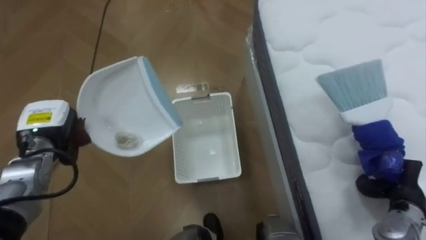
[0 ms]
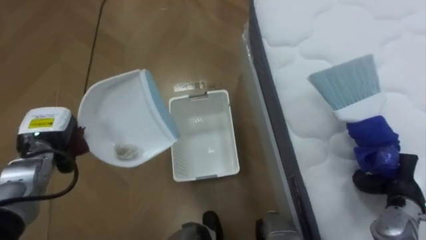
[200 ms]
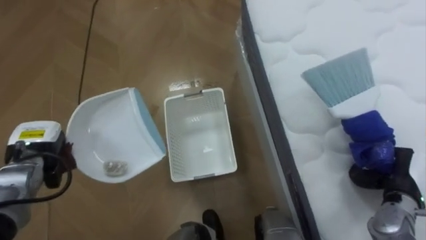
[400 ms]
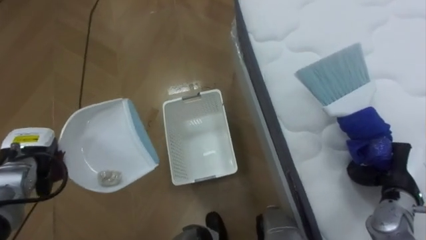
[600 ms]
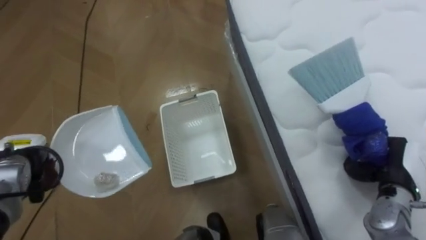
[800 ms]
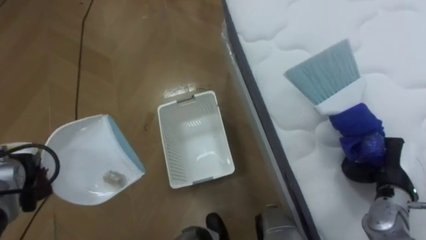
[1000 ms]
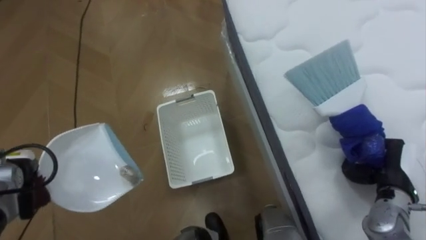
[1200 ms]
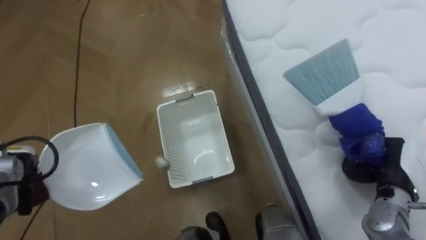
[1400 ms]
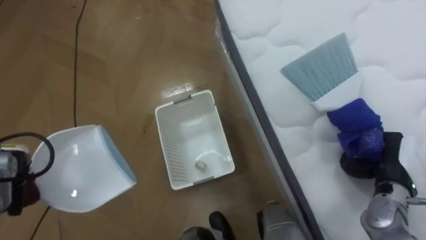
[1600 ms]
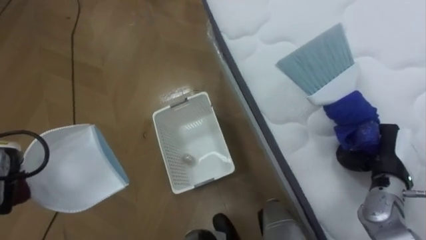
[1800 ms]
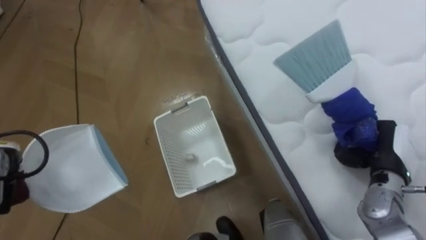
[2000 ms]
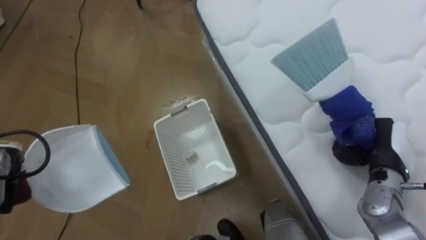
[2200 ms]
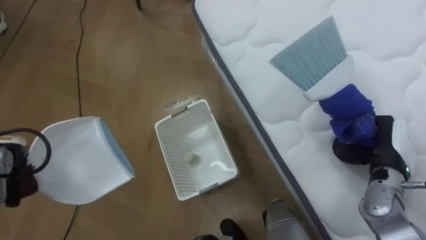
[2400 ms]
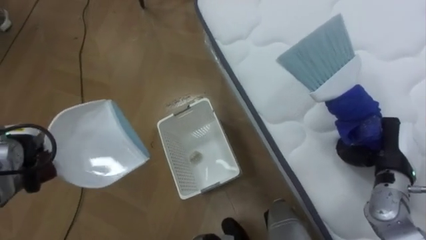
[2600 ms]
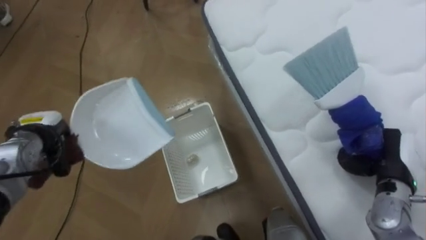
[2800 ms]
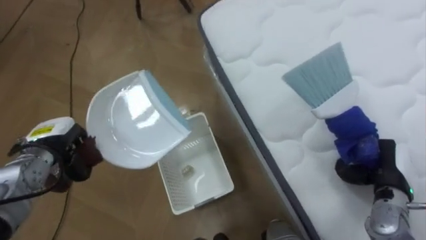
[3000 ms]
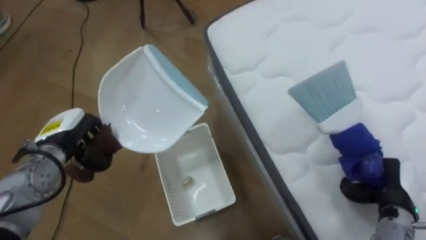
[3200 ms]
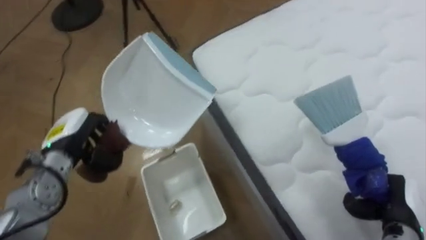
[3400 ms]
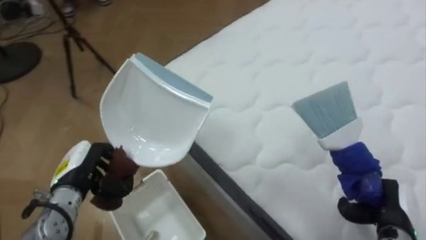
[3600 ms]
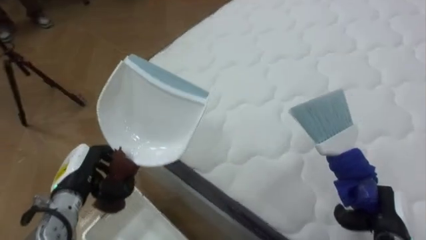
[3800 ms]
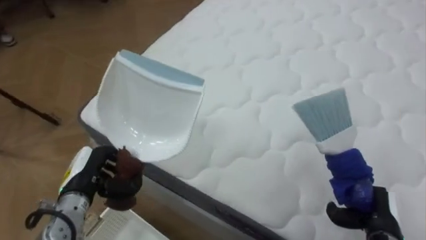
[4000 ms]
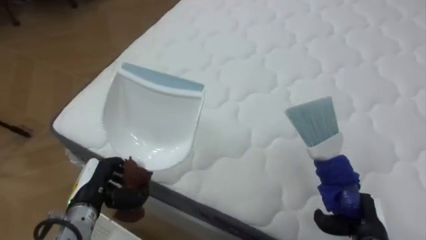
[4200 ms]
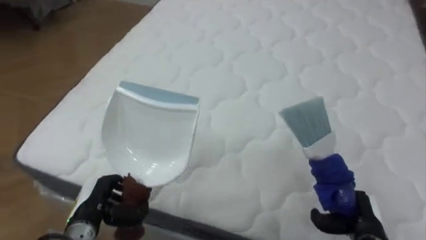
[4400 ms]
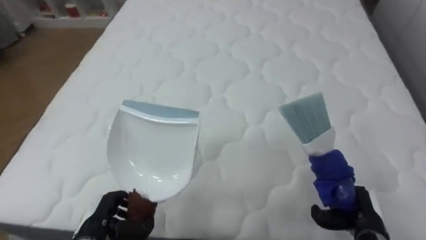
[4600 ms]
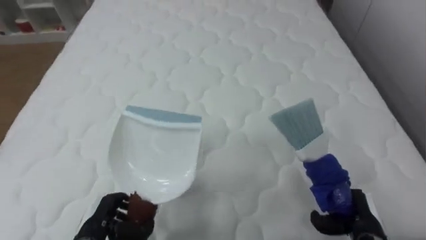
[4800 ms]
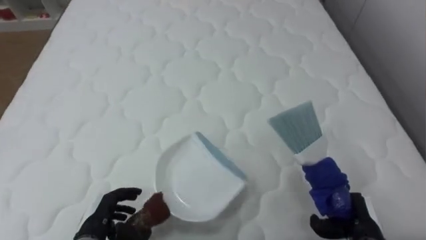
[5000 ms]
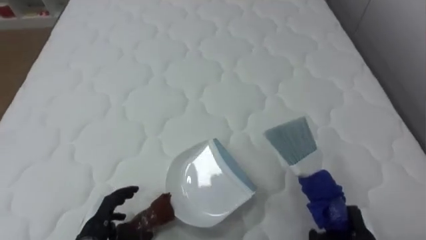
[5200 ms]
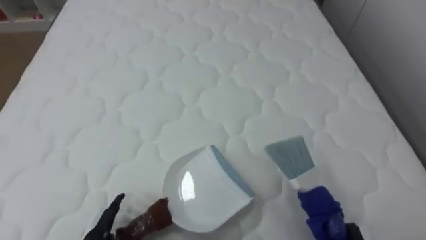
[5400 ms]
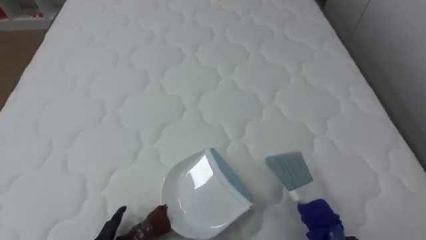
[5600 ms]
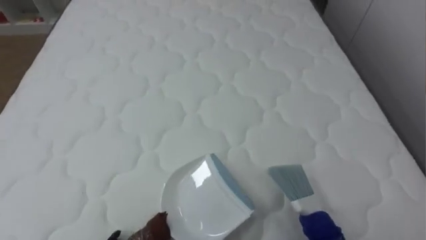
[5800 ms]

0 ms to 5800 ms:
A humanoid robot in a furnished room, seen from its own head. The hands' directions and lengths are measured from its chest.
Task of the whole recording: Pick up the brush on your right and the dustpan on your left. Use the brush to sweep the crumpled paper on the bed into the dustpan, then turn left and empty it into the basket.
0 ms to 1400 ms: The left hand is displaced to the left and backward by about 10 cm.
1400 ms to 2800 ms: The left hand ends up approximately 5 cm from where it was.
2800 ms to 4400 ms: The robot faces about 65 degrees further to its right. The left hand heads backward, to the right and downward, covering some 15 cm; the right hand shifts approximately 10 cm downward and backward.
4400 ms to 5800 ms: The robot rotates some 25 degrees to its right.

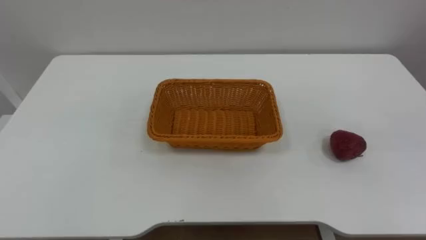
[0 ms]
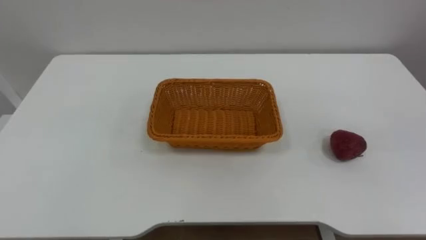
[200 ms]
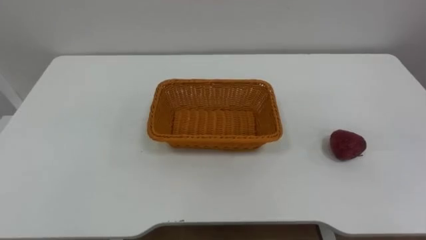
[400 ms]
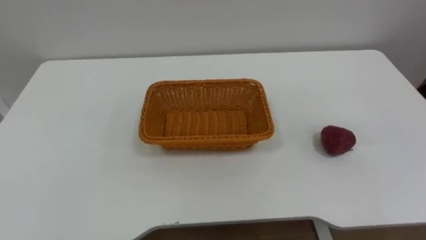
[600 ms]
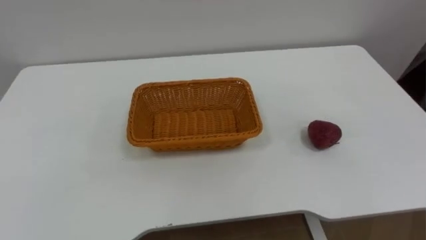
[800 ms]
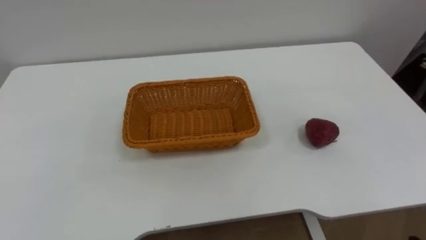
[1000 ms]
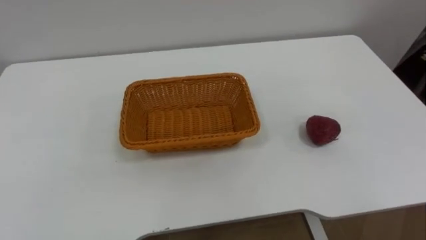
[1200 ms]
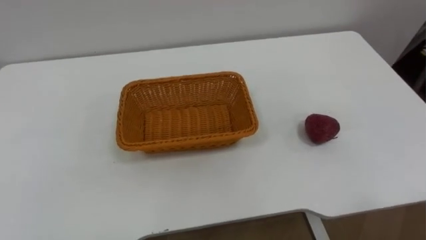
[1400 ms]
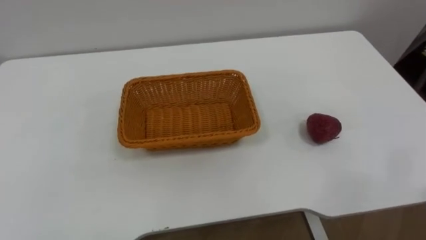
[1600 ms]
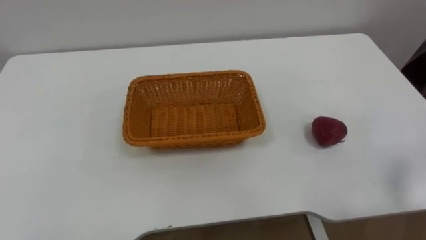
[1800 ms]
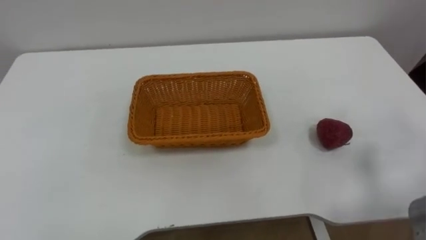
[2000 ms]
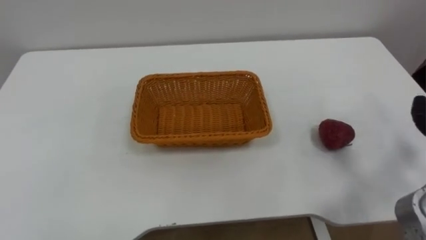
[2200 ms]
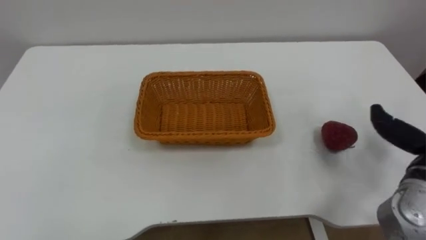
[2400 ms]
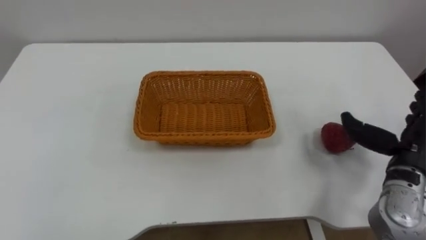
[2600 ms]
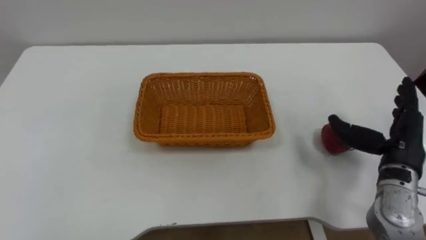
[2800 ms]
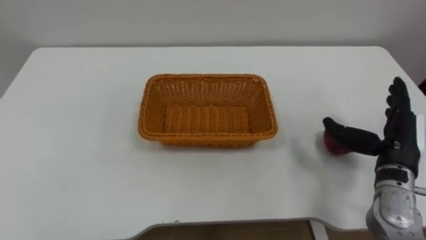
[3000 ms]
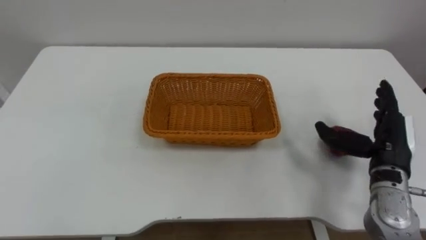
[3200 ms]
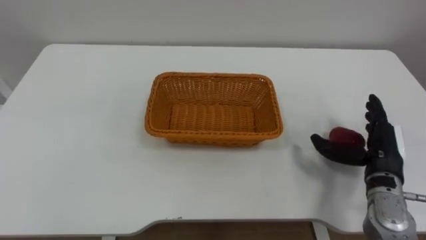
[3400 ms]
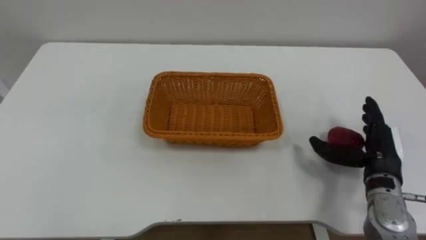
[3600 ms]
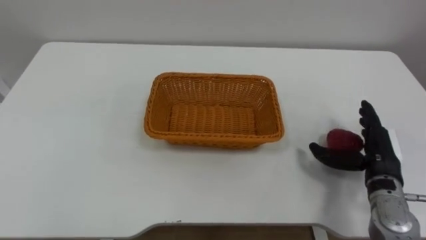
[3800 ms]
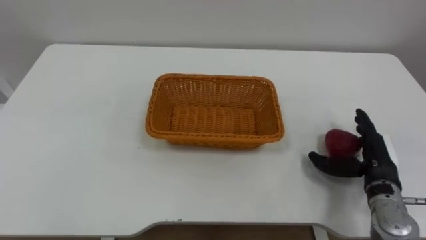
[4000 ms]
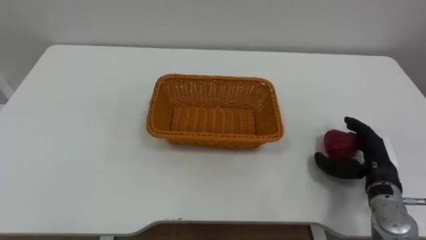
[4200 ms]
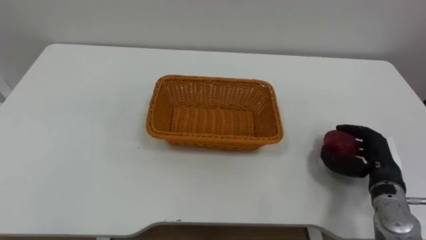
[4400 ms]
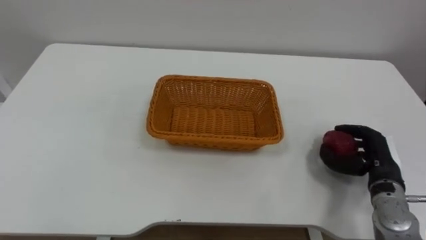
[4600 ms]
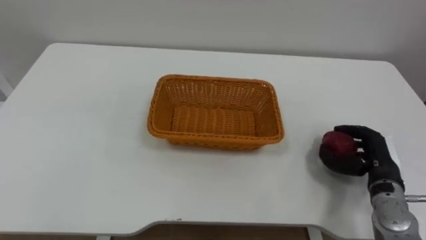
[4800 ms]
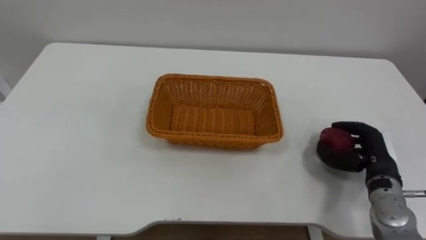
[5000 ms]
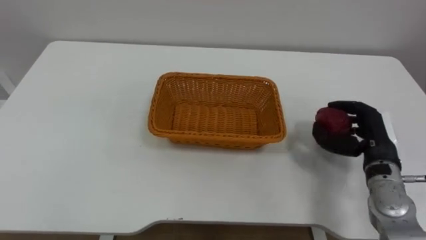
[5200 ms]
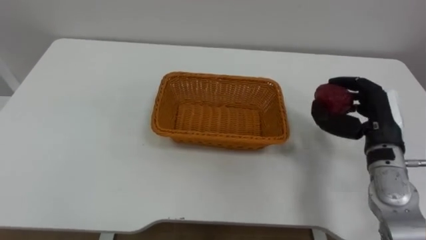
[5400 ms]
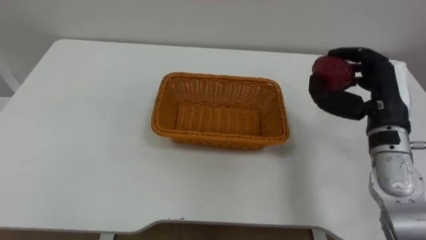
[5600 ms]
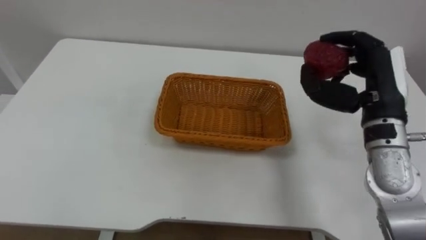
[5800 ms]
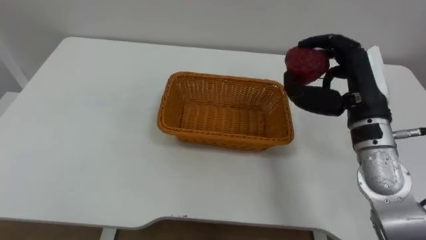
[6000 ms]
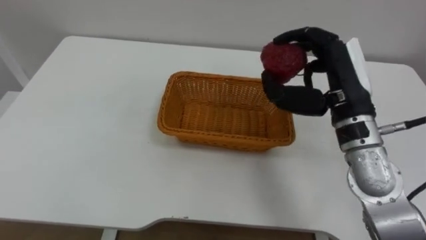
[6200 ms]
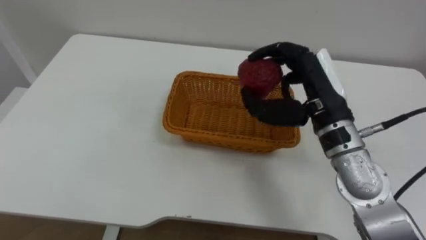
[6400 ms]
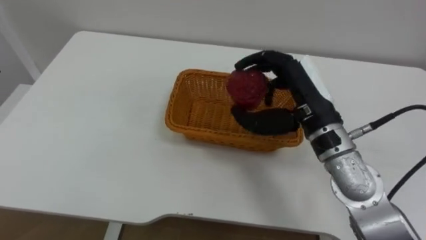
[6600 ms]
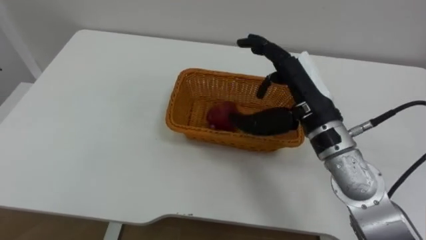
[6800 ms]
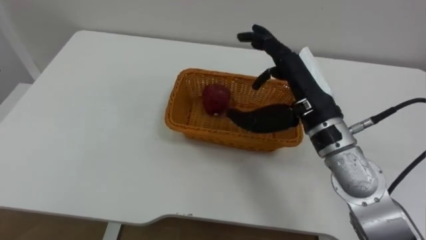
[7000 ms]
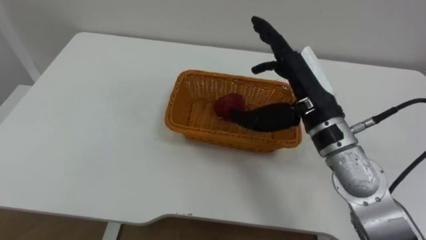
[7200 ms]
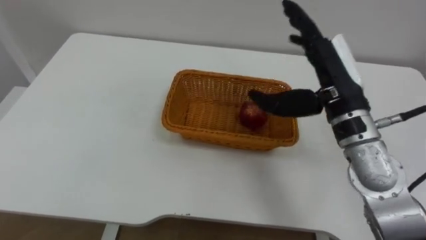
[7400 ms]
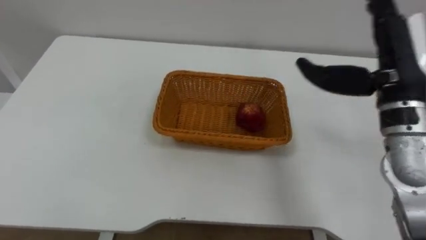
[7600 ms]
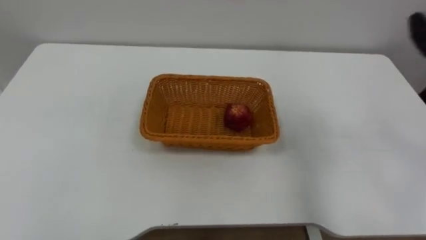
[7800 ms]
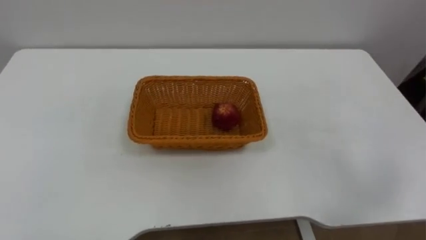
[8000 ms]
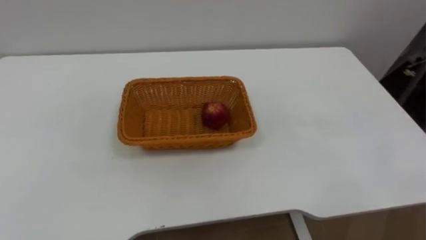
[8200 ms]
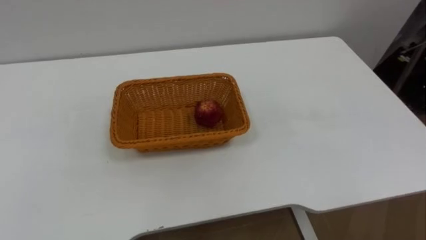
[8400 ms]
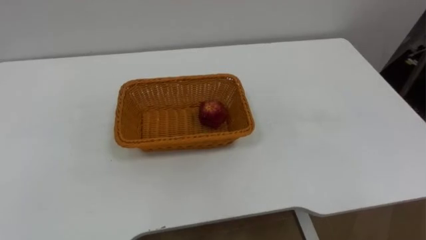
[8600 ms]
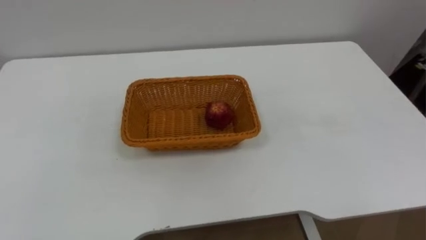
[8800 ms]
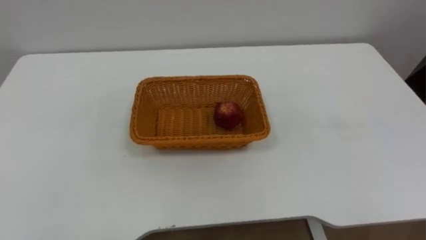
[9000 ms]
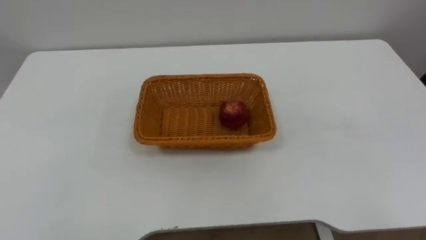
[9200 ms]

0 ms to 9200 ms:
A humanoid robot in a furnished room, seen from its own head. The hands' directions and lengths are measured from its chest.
Task of the whole recording: Pick the apple and place it in the box.
3000 ms to 4600 ms: The right hand heads downward, covering roughly 5 cm, and closes.
4600 ms to 6200 ms: The right hand is displaced upward and to the left by some 20 cm.
6200 ms to 7600 ms: The right hand opens.

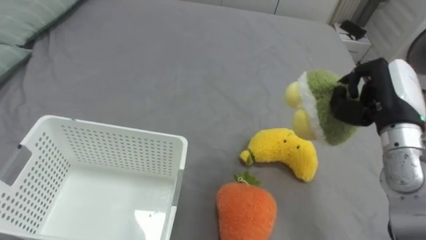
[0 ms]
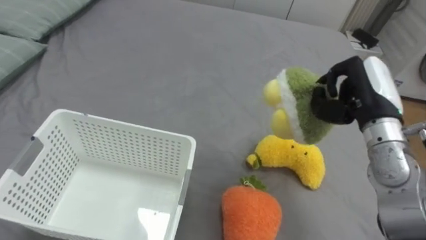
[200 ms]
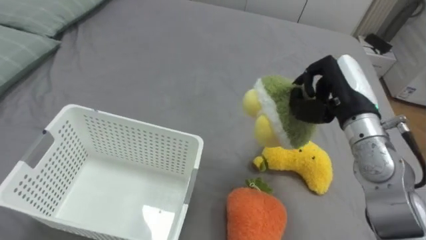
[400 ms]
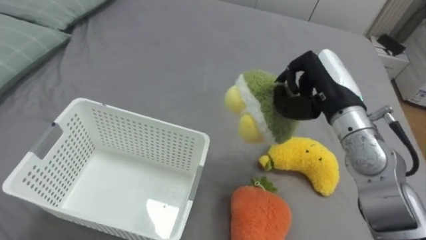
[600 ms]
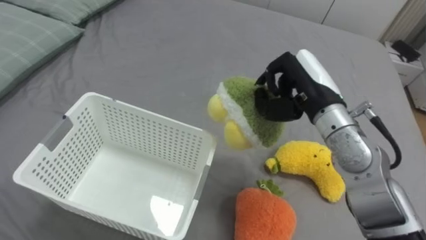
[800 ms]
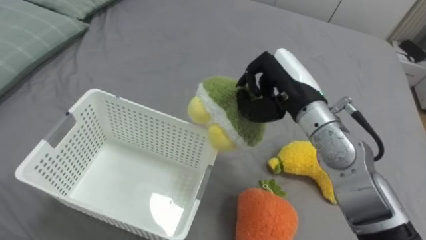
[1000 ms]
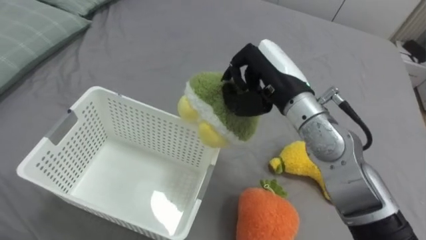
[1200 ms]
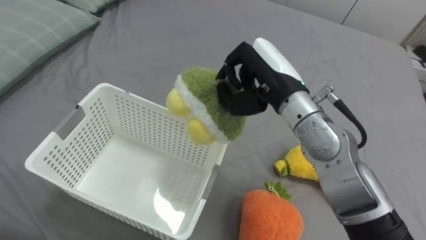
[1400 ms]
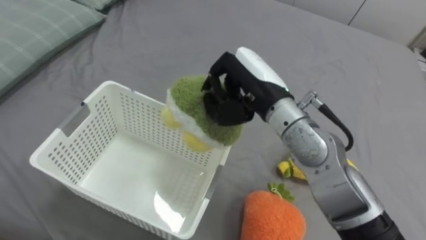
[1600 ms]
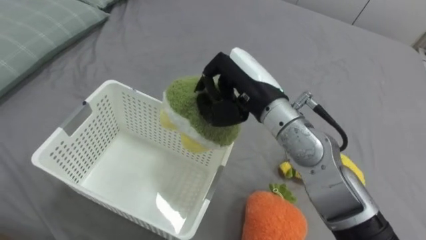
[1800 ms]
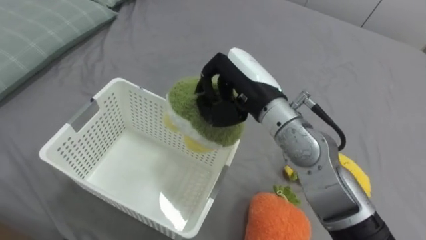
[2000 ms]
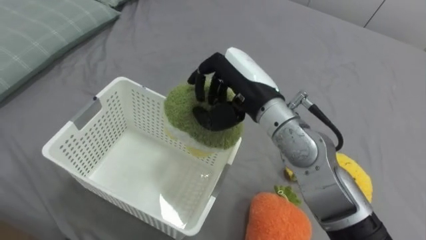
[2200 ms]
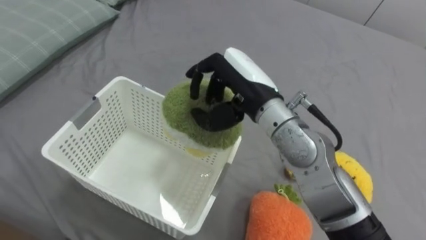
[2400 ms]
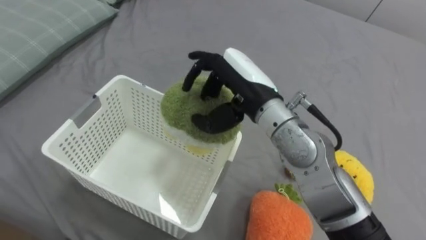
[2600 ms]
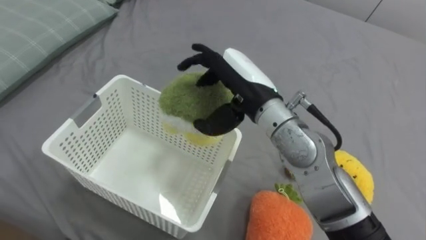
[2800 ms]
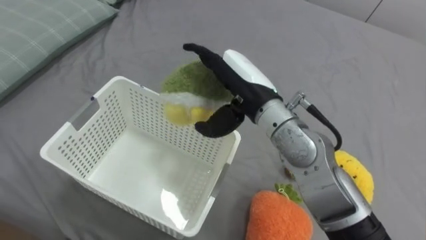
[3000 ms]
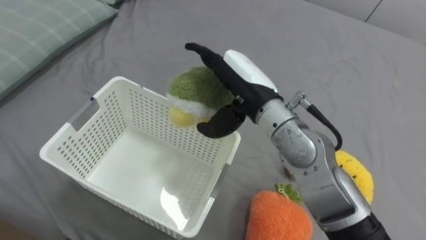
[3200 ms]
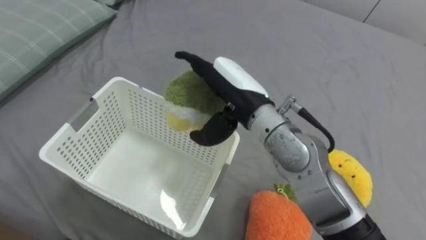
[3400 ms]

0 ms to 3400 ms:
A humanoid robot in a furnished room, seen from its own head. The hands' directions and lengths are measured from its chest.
Task of the whole recording: Put the toys on the bed into the basket on the left.
0 ms to 1600 ms: The right hand shifts some 20 cm to the left.
1600 ms to 3400 ms: The right hand opens up.
